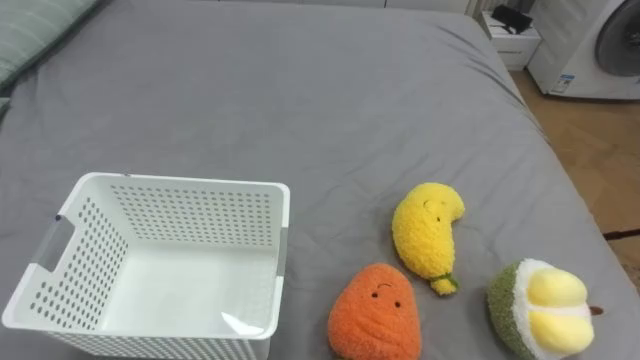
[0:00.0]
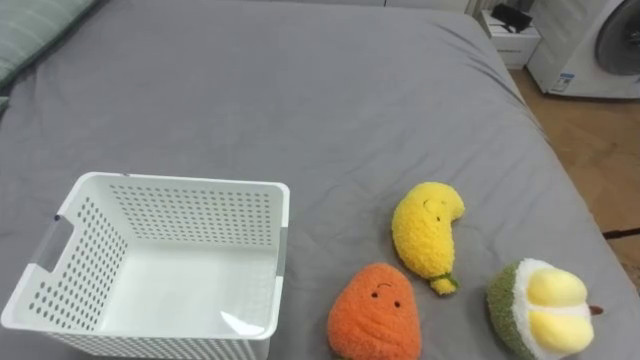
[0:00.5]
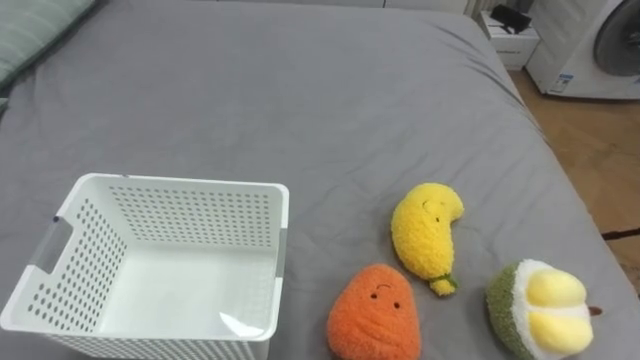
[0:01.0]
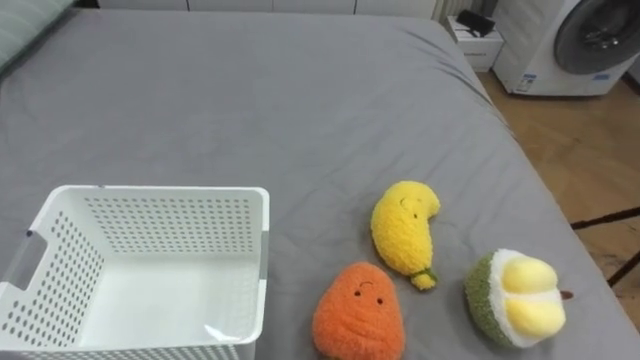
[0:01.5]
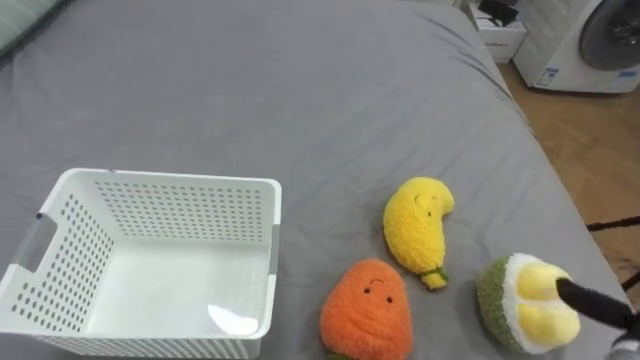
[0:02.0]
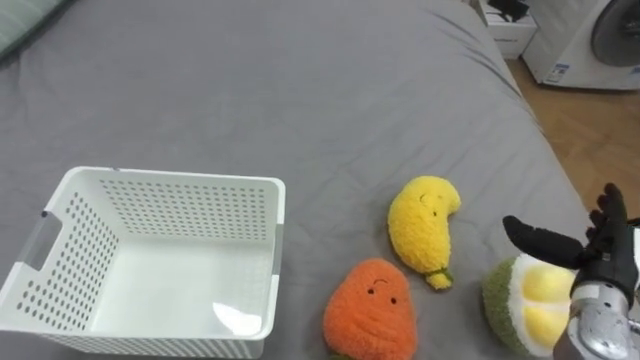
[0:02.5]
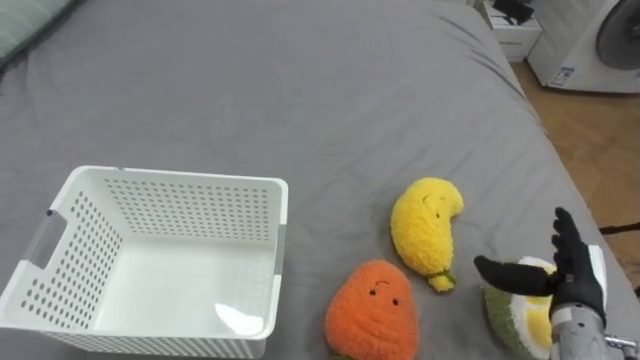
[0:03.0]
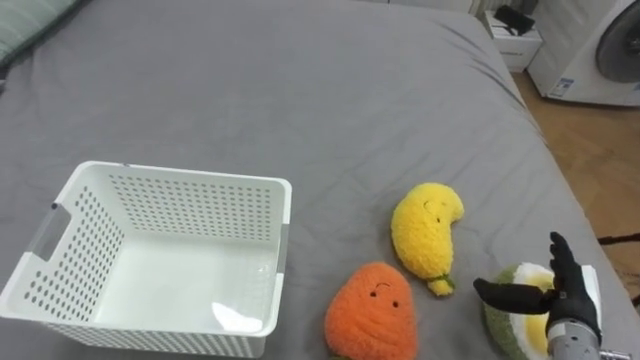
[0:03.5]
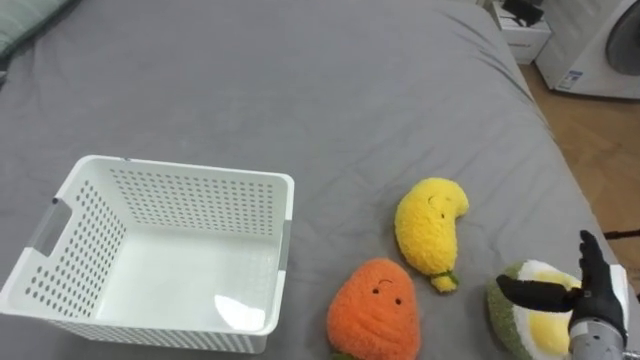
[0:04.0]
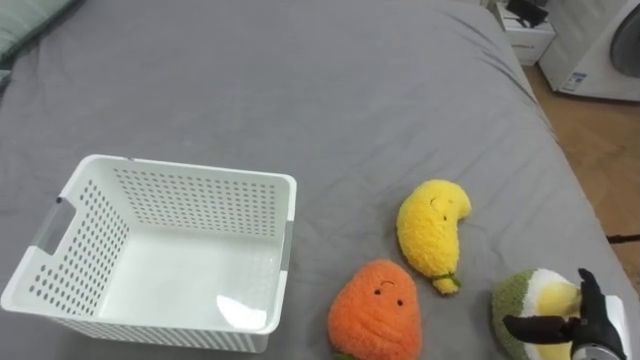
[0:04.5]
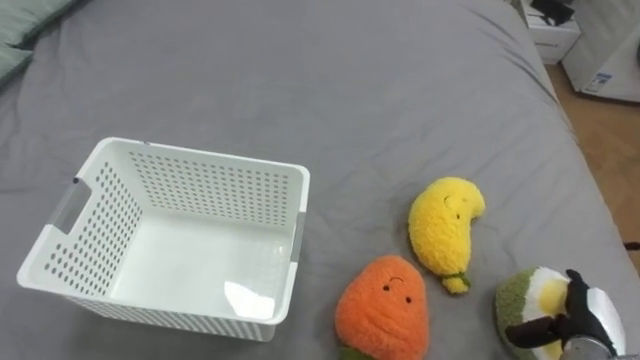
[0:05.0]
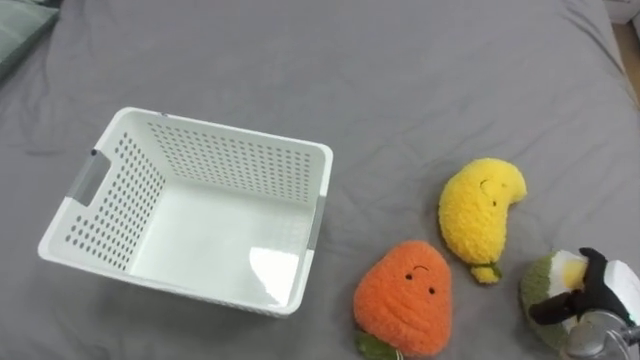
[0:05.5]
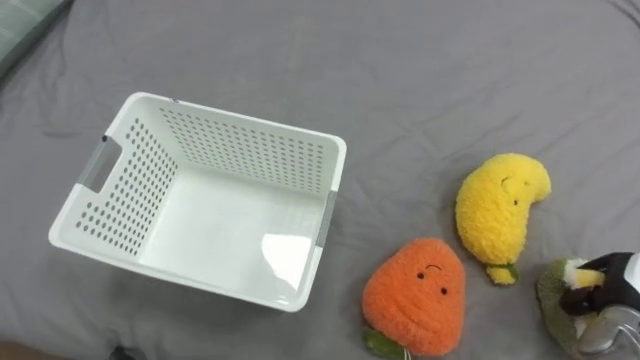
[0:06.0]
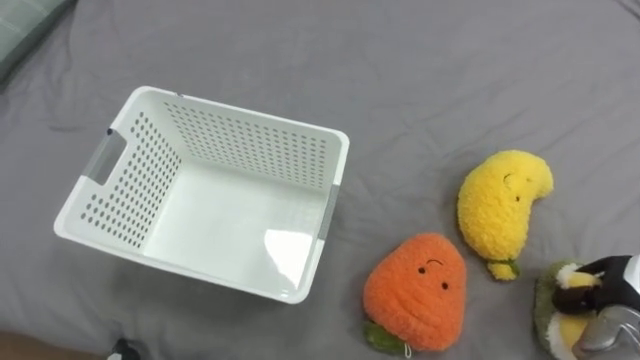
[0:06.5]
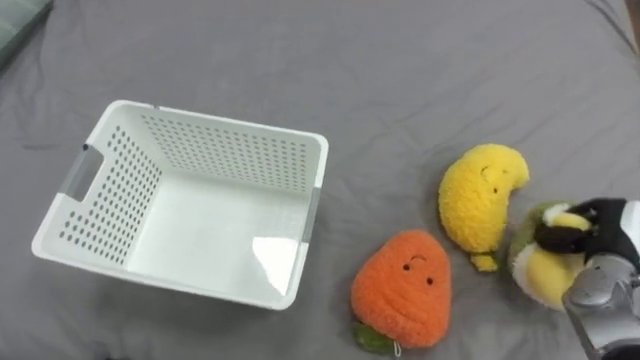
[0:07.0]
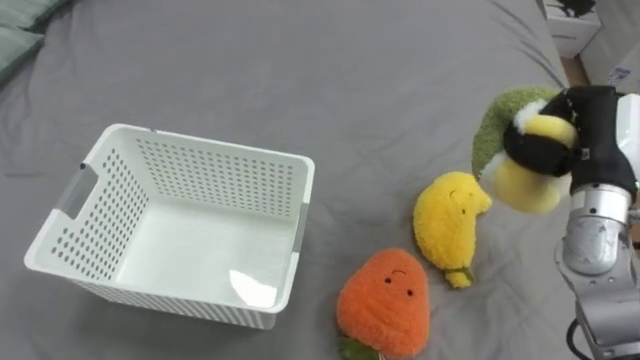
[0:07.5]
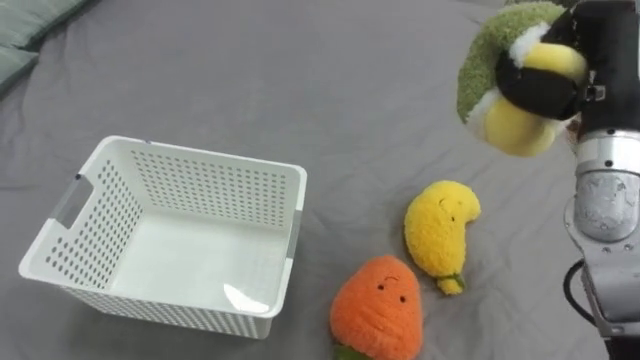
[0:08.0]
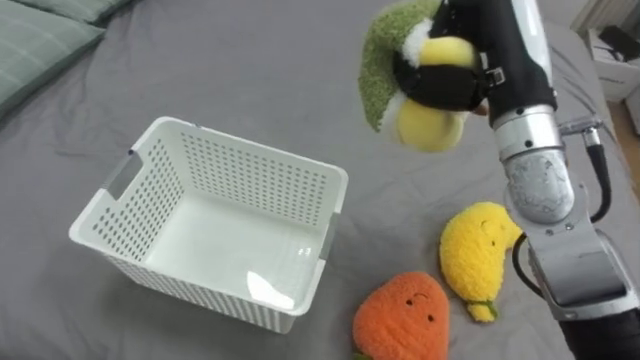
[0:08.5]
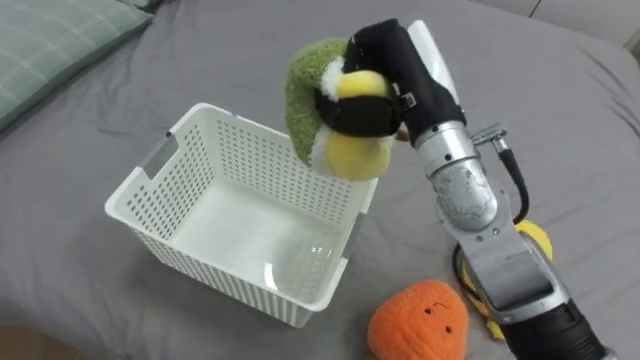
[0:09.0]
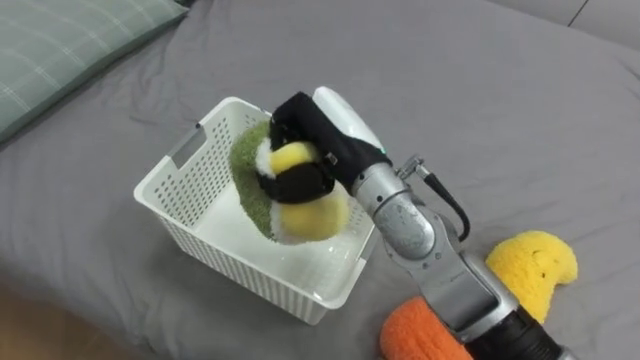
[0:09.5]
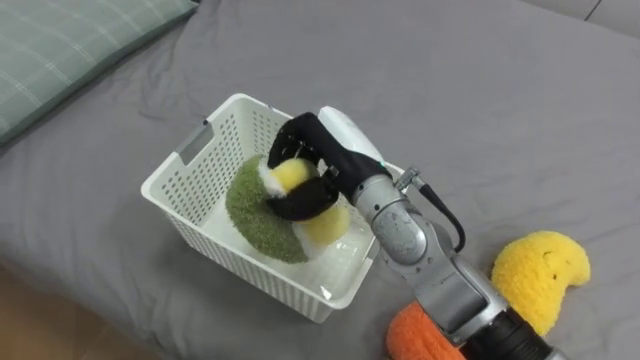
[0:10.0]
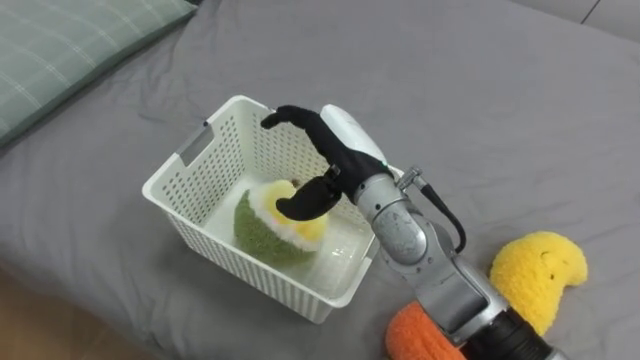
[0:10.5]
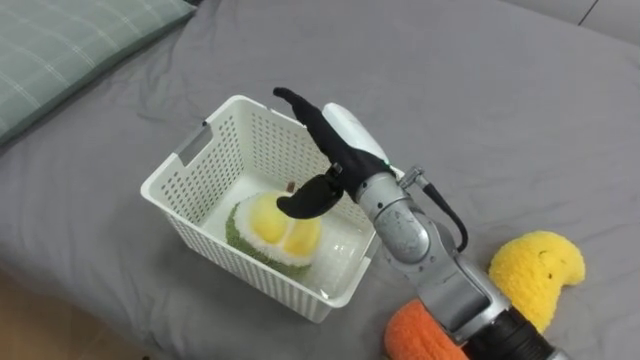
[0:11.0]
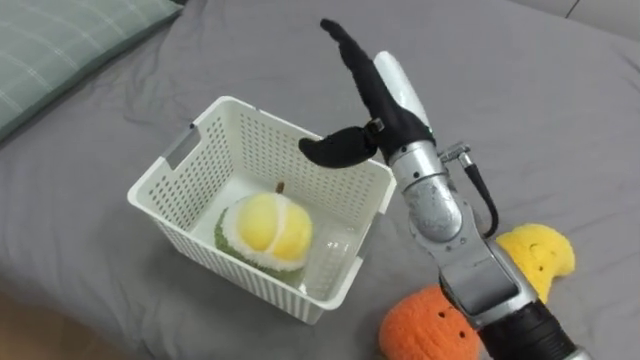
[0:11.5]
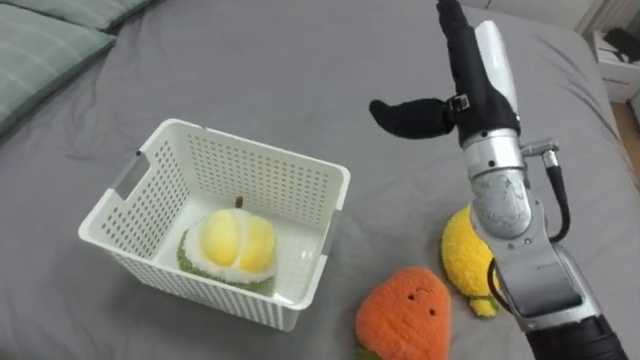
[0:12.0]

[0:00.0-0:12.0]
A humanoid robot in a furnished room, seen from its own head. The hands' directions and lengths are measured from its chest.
Task of the whole recording: Put the toys on the bed into the basket on the left.
0:04.0 to 0:06.0: The right hand heads to the right, covering roughly 5 cm, and closes.
0:06.0 to 0:08.0: The right hand travels upward and to the left by roughly 30 cm, and closes up.
0:08.0 to 0:10.0: The right hand is displaced to the left by approximately 25 cm.
0:10.0 to 0:12.0: The right hand shifts approximately 15 cm to the right and upward, and opens its fingers.

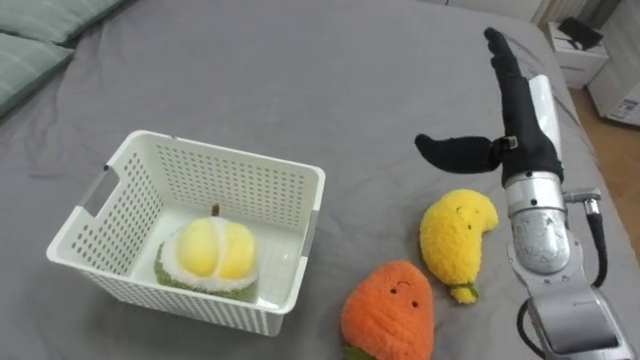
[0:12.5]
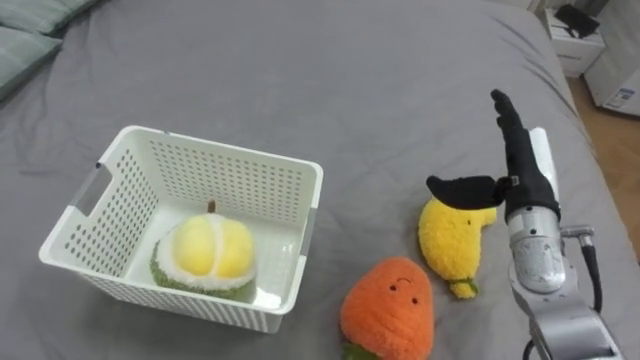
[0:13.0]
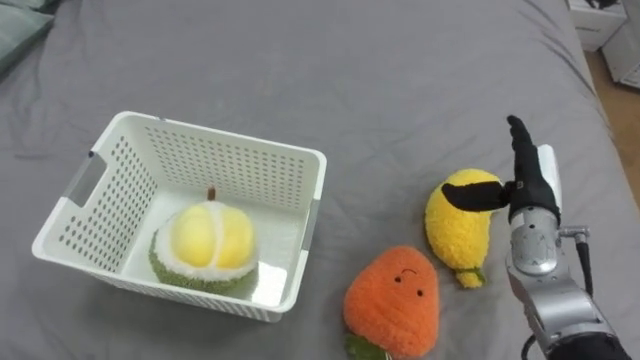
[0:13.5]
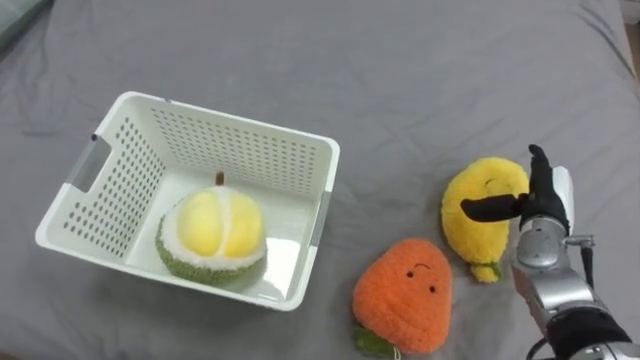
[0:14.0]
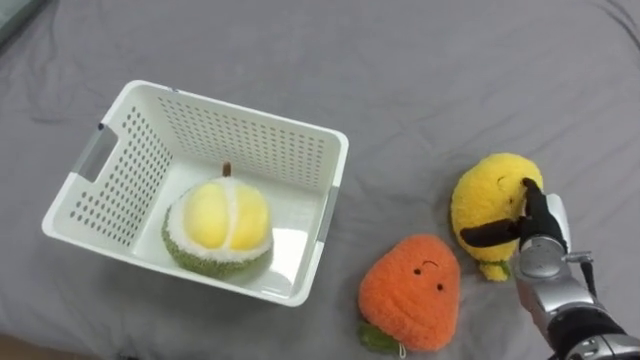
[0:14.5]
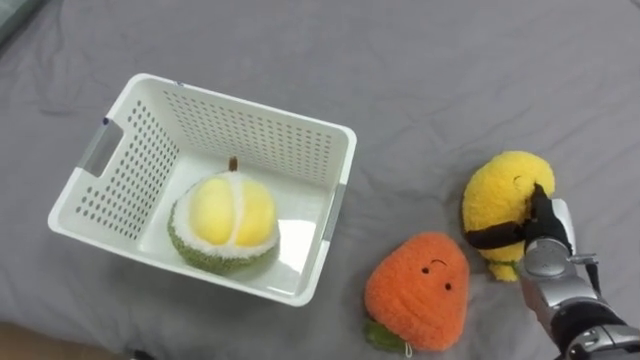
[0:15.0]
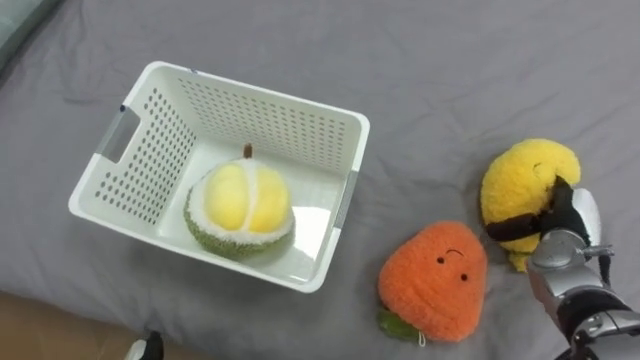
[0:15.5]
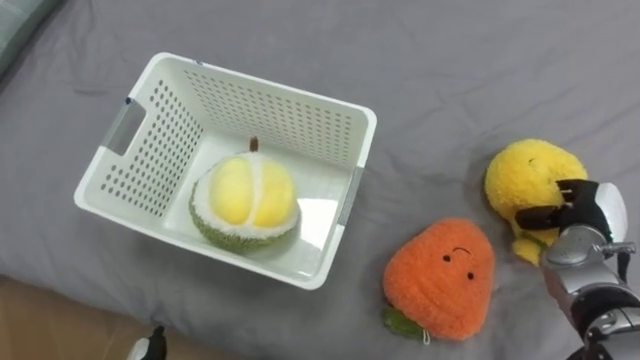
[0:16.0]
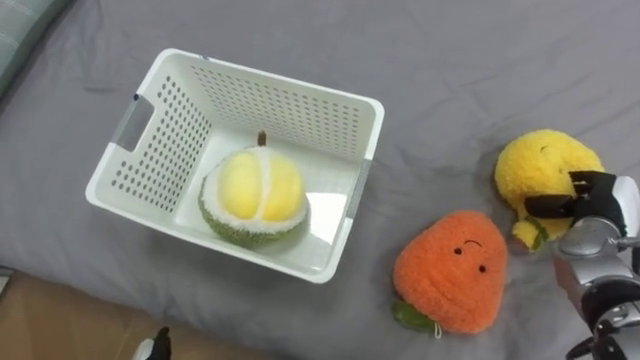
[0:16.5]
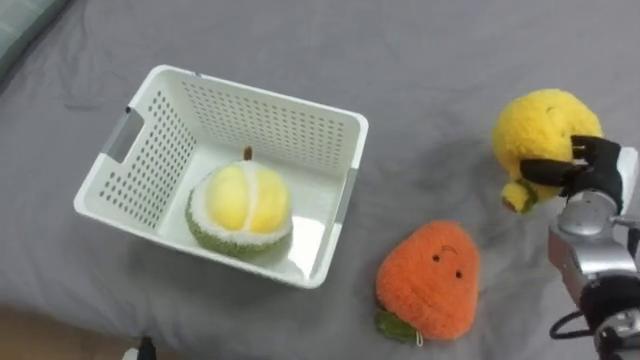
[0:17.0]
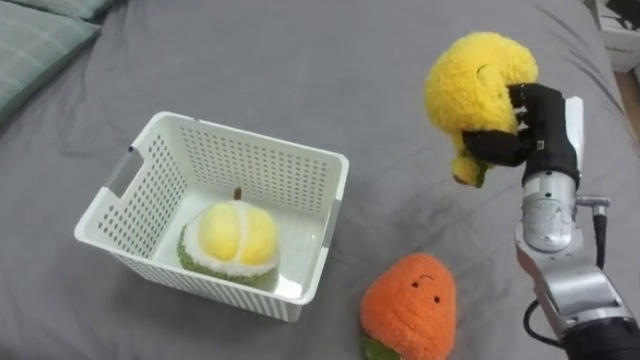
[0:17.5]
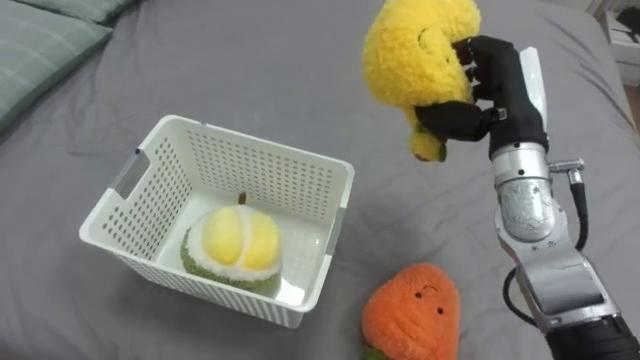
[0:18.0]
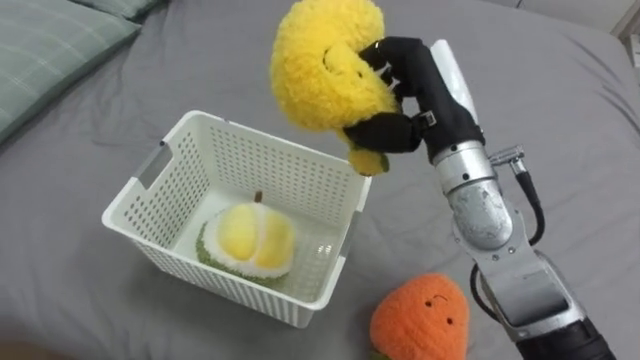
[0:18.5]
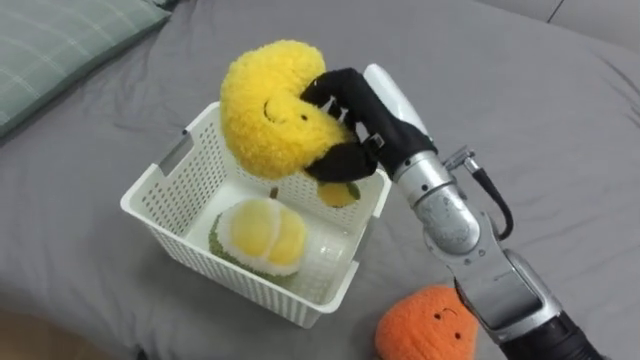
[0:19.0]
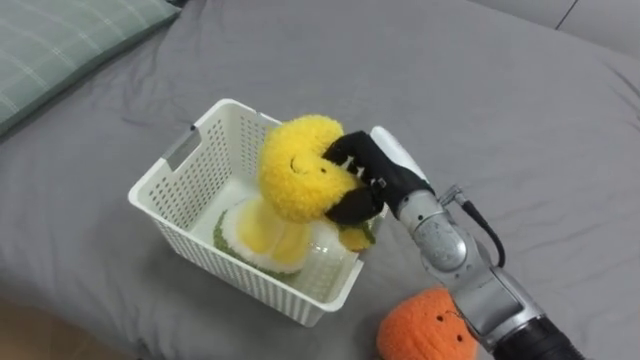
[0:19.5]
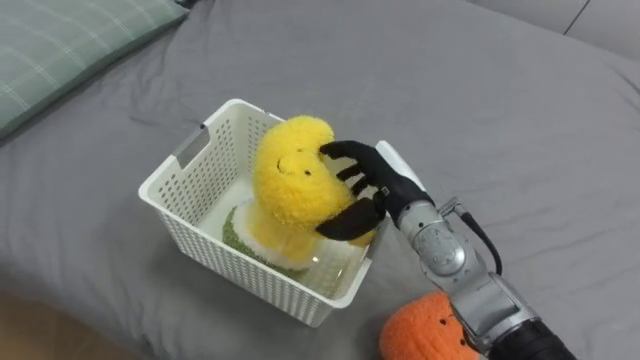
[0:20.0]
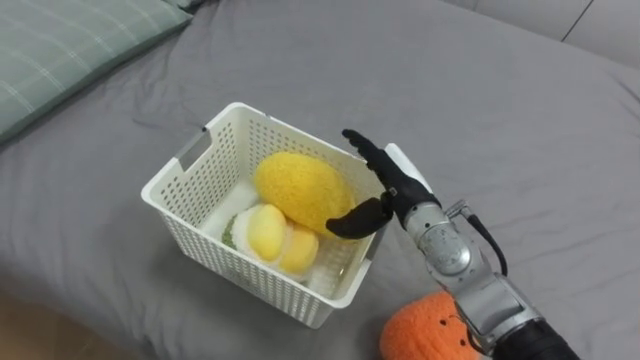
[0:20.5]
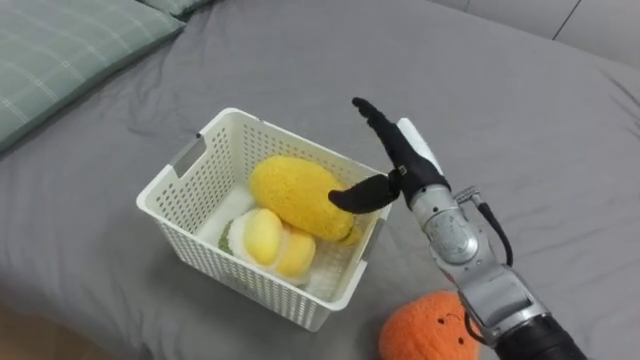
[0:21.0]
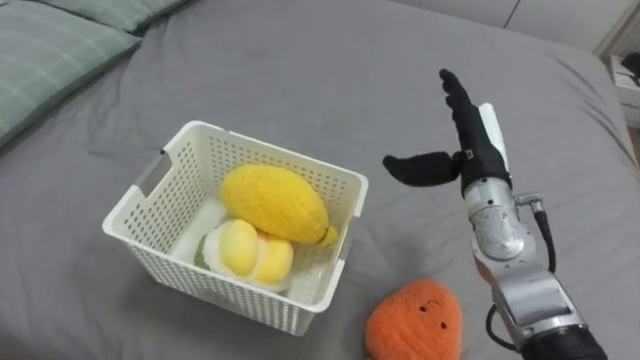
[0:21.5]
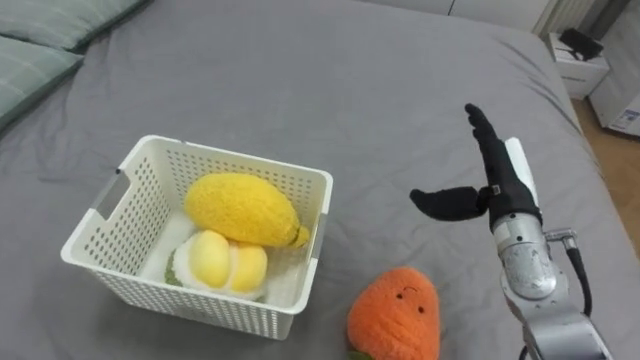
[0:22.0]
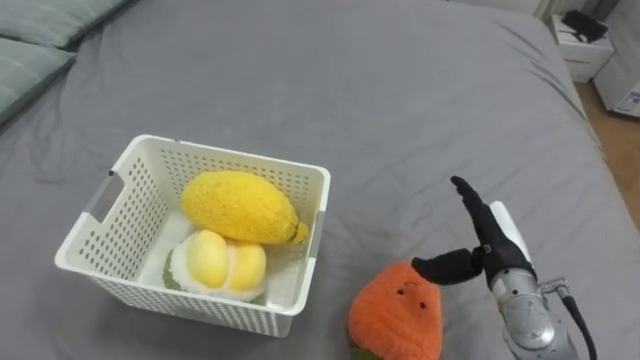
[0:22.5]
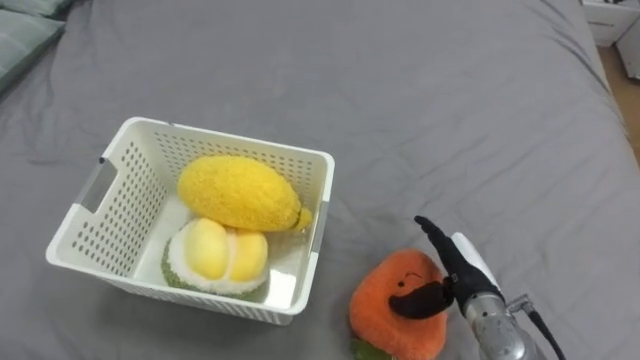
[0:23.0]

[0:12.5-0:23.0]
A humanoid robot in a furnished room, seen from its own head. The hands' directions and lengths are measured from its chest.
Task of the whole recording: Put the toys on the bed into the basket on the left.
0:12.5 to 0:14.5: The right hand shifts about 20 cm downward and to the right.
0:14.5 to 0:16.5: The right hand travels to the right by some 5 cm, and closes its fingers.
0:16.5 to 0:19.0: The right hand shifts about 35 cm to the left and upward.
0:19.0 to 0:21.0: The right hand heads downward, covering approximately 10 cm, and opens.
0:21.0 to 0:23.0: The right hand heads downward, backward and to the right, covering approximately 20 cm.
